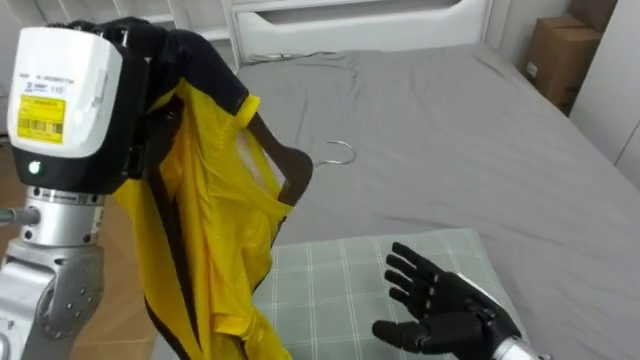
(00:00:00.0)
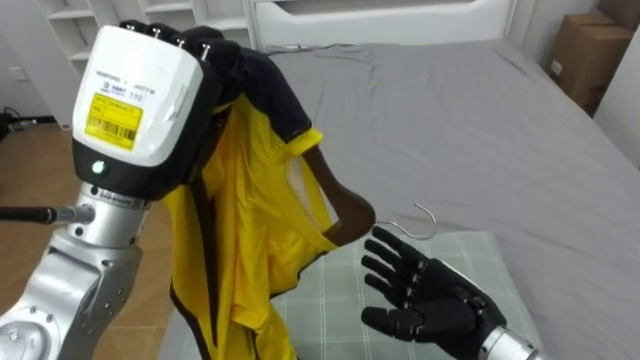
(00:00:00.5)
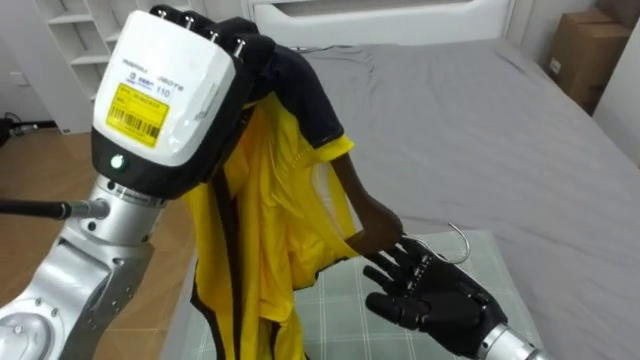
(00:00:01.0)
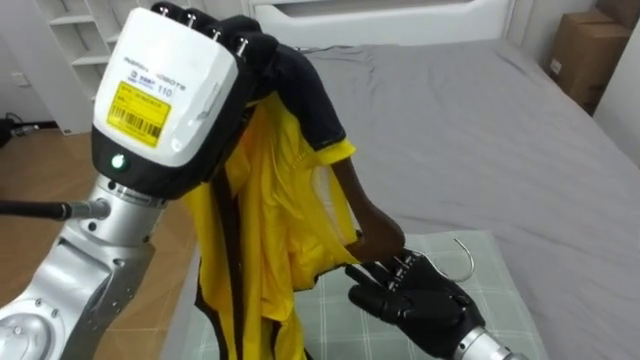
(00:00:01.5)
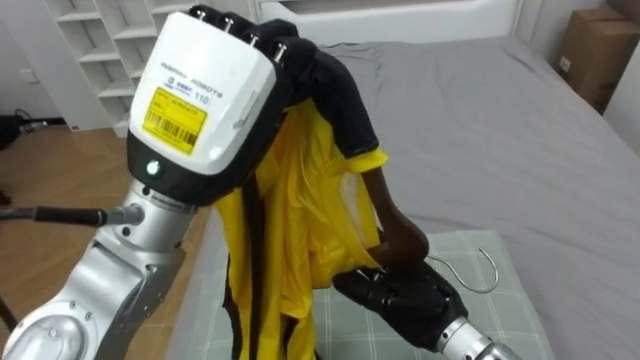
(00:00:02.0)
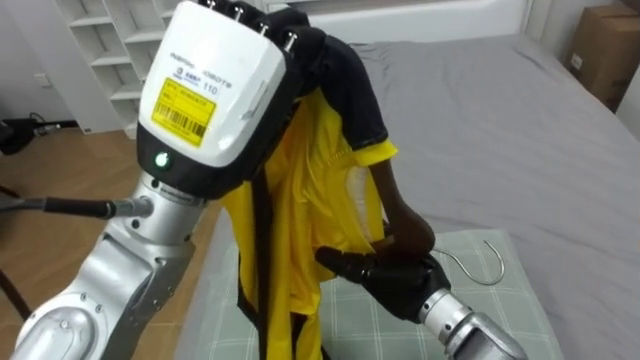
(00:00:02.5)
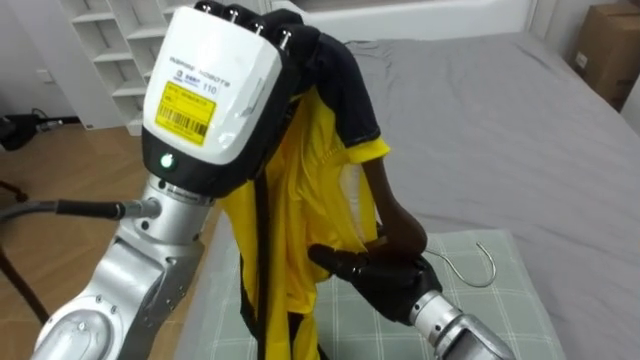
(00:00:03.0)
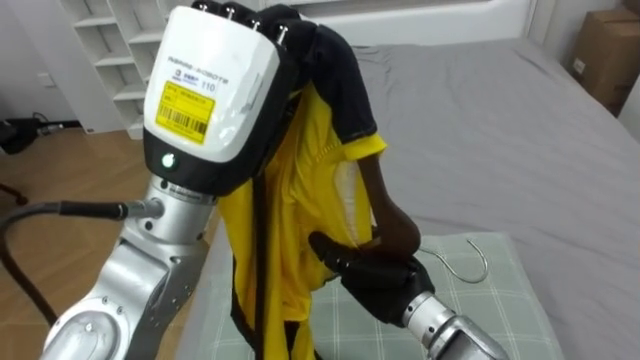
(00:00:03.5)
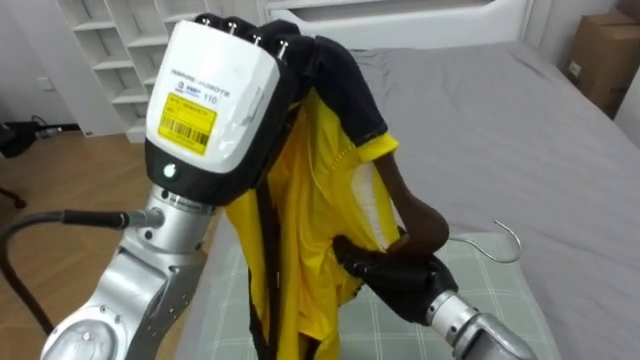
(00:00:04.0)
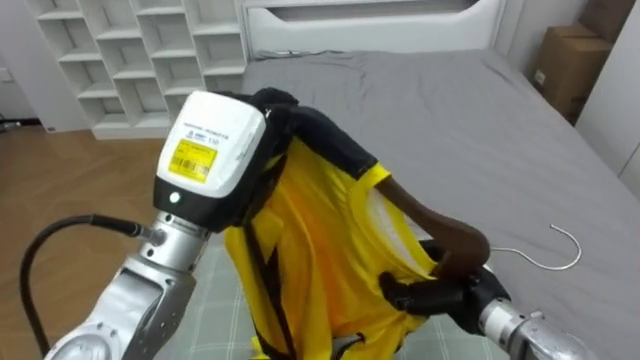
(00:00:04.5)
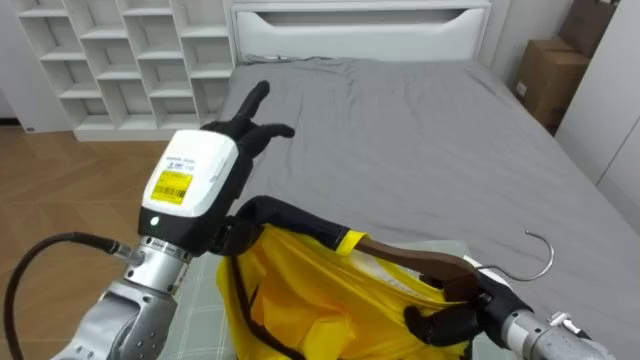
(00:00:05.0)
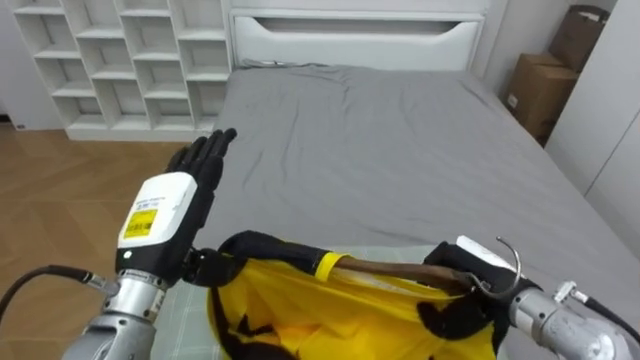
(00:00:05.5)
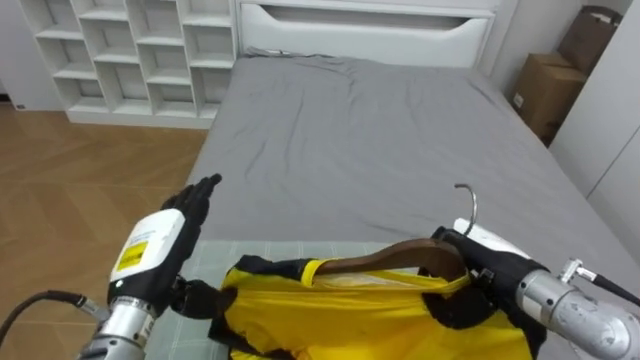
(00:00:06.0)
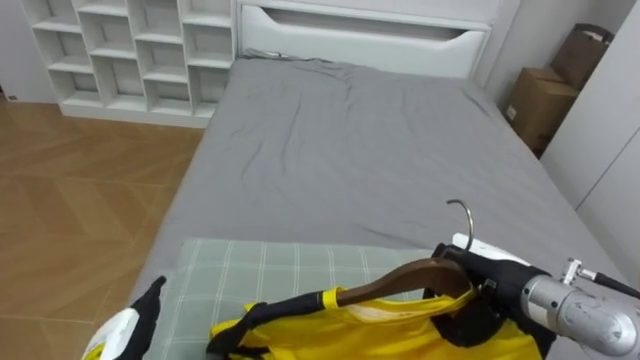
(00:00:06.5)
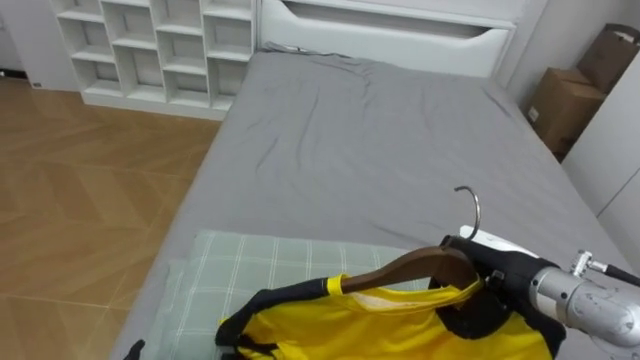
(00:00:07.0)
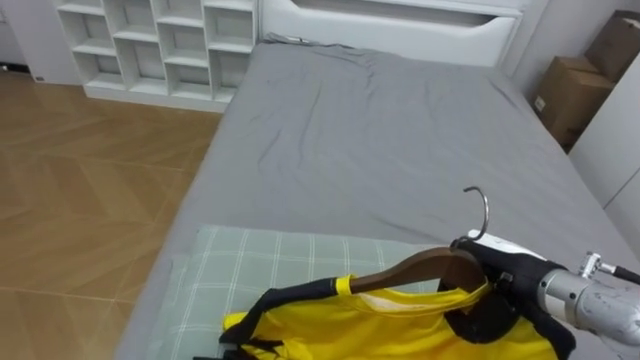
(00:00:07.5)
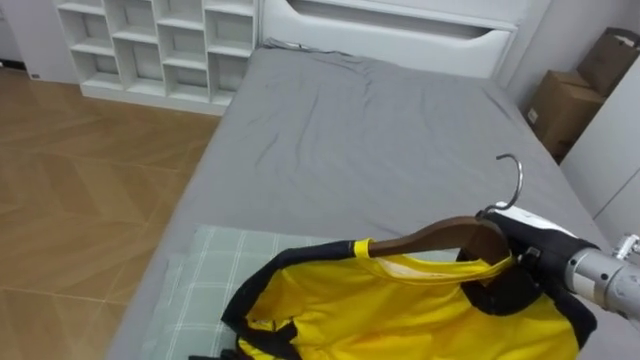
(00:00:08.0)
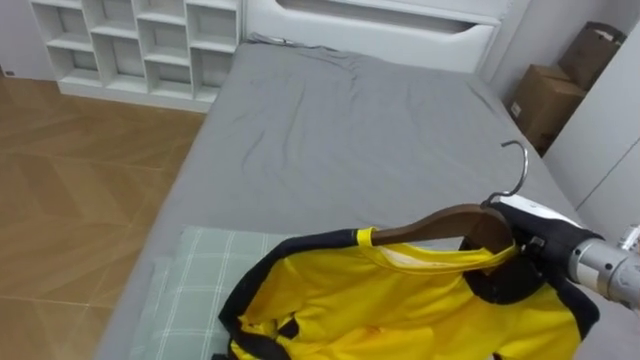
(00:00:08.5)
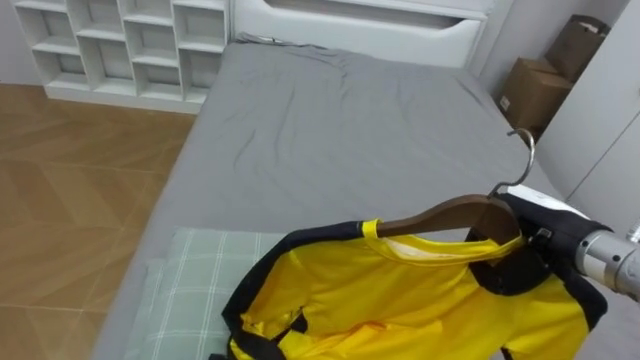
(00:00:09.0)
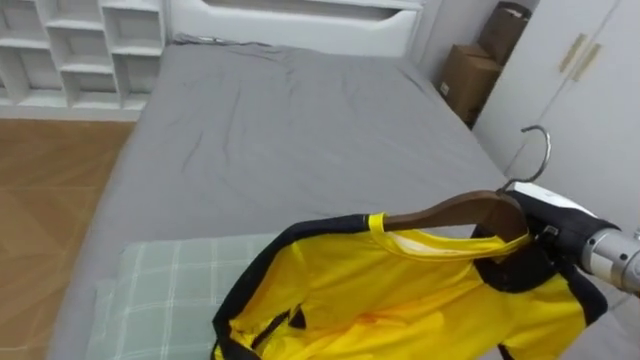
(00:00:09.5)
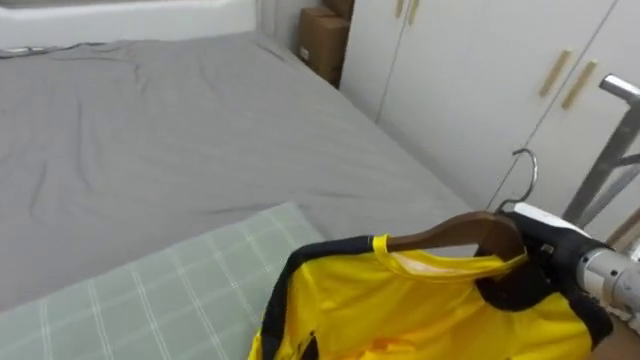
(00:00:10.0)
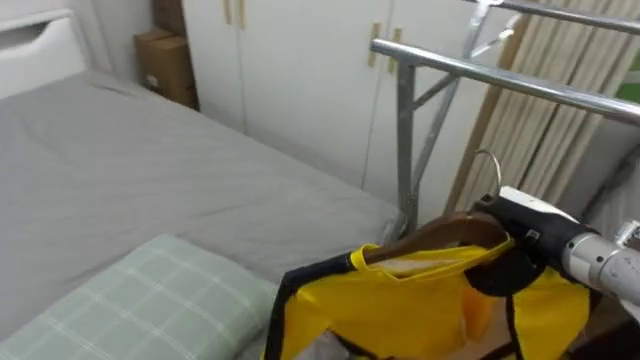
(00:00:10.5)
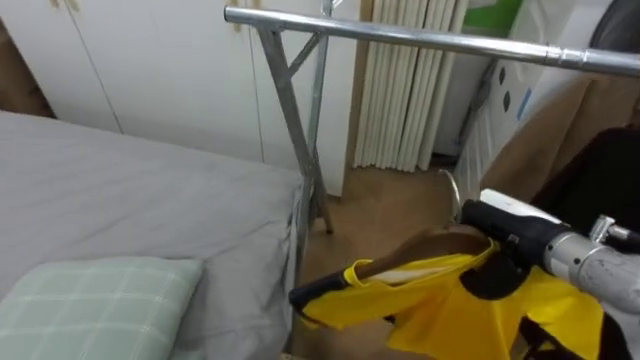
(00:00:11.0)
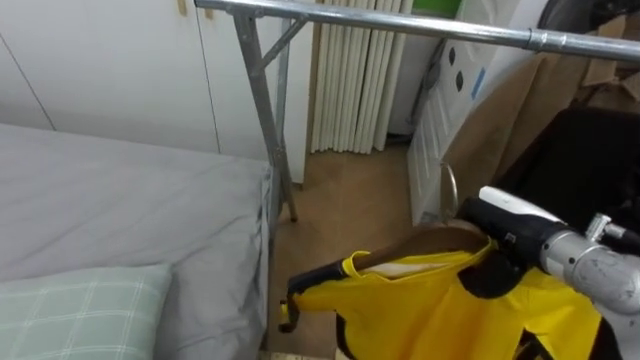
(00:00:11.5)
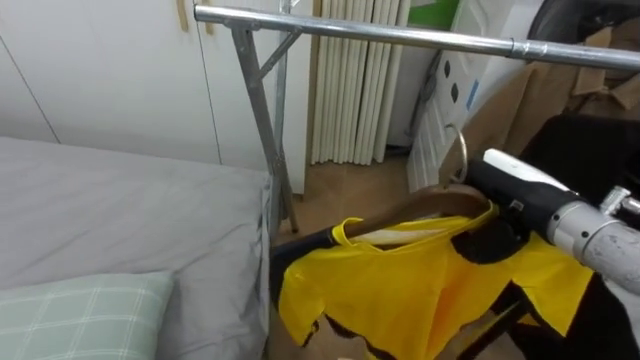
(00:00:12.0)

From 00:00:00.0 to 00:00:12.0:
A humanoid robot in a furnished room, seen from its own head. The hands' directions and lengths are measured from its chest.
Task of the whole recording: Pick up the yellow shirt on the bed and hang it on the clothes rack on the right.
From 00:00:00.0 to 00:00:02.0: The left hand travels to the right by some 10 cm. The right hand is displaced to the left by about 5 cm.
From 00:00:02.0 to 00:00:04.0: The right hand closes.
From 00:00:04.0 to 00:00:06.0: The right hand shifts approximately 10 cm to the right, while the left hand is displaced downward and to the left by roughly 25 cm, and opens.
From 00:00:08.0 to 00:00:10.0: The robot rotates roughly 35 degrees to its right.
From 00:00:10.0 to 00:00:12.0: The robot's body swings approximately 55 degrees to its right. The right hand travels upward by about 5 cm.

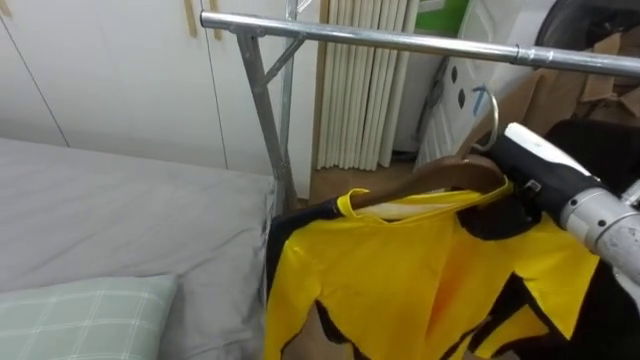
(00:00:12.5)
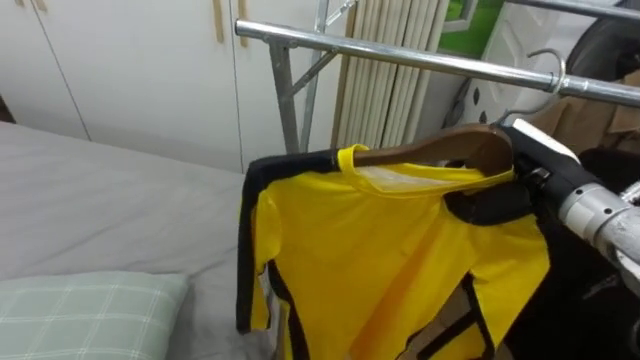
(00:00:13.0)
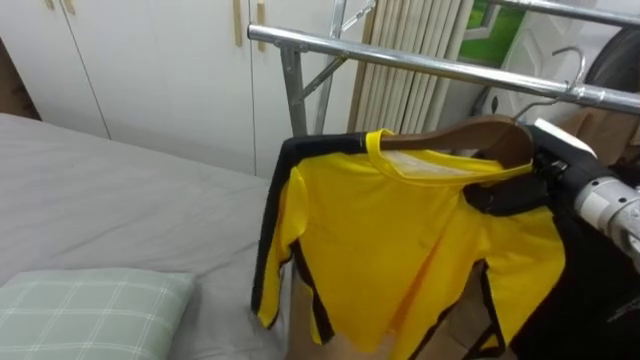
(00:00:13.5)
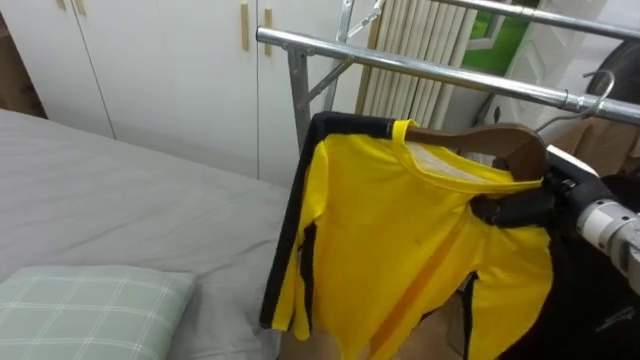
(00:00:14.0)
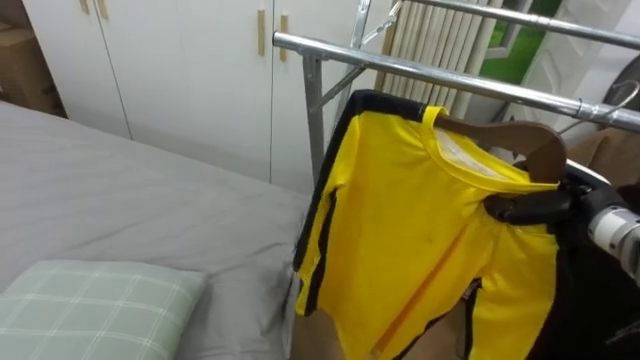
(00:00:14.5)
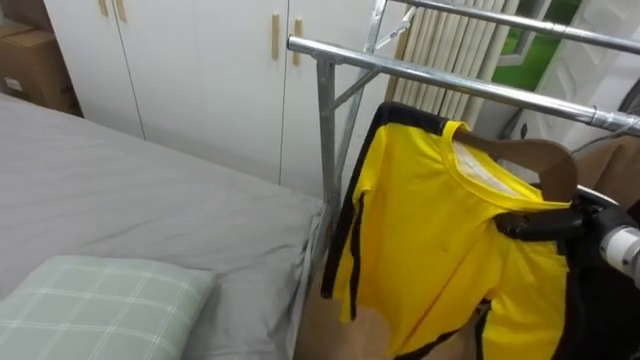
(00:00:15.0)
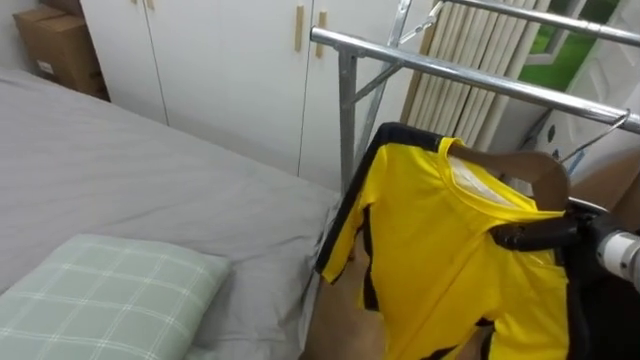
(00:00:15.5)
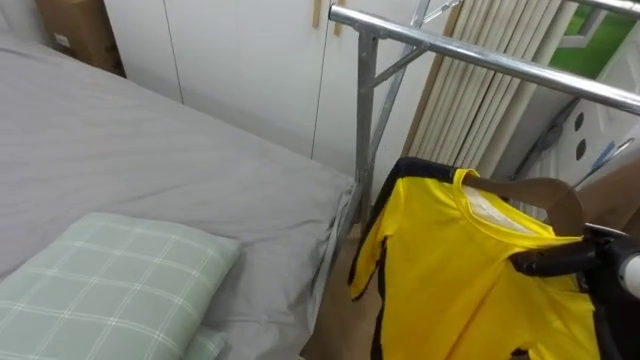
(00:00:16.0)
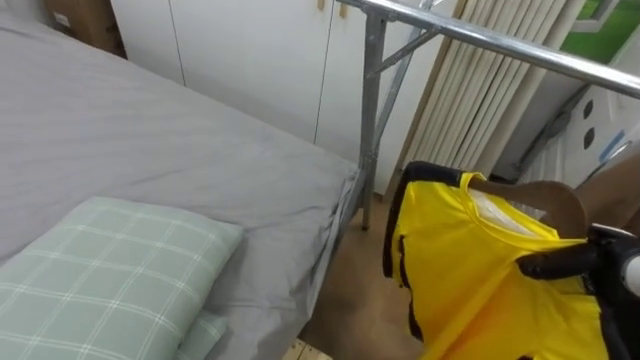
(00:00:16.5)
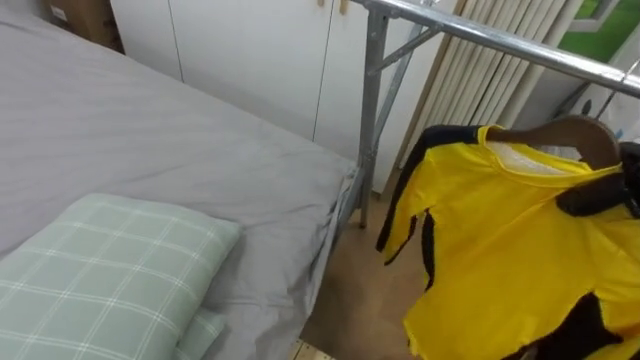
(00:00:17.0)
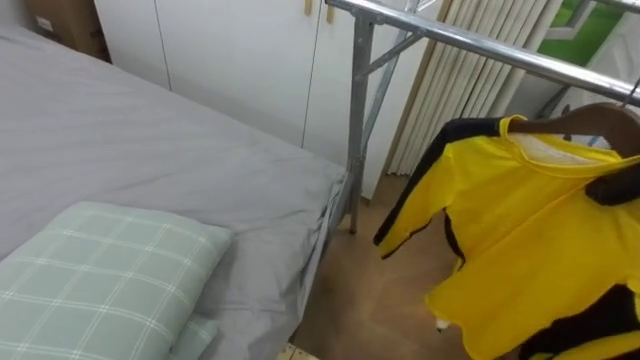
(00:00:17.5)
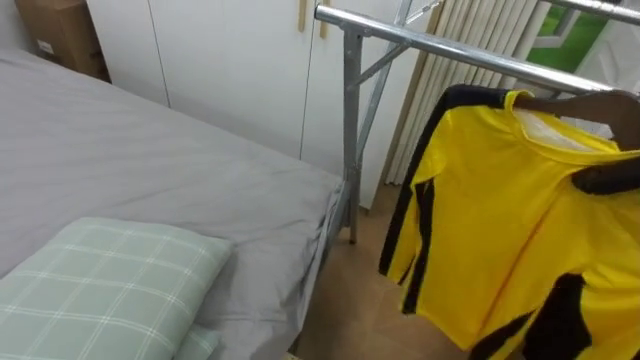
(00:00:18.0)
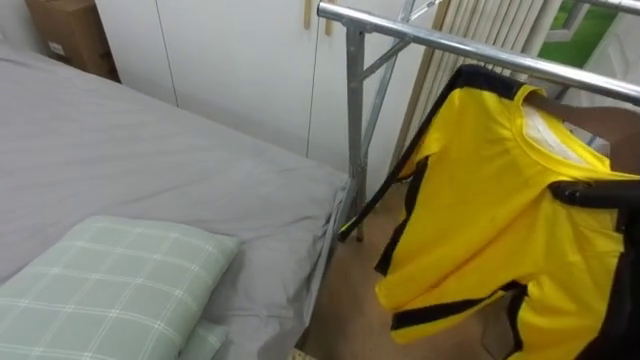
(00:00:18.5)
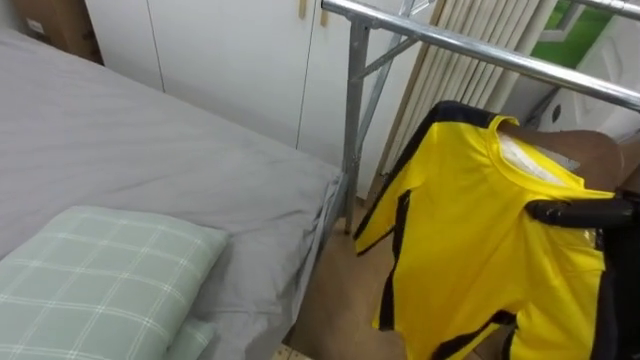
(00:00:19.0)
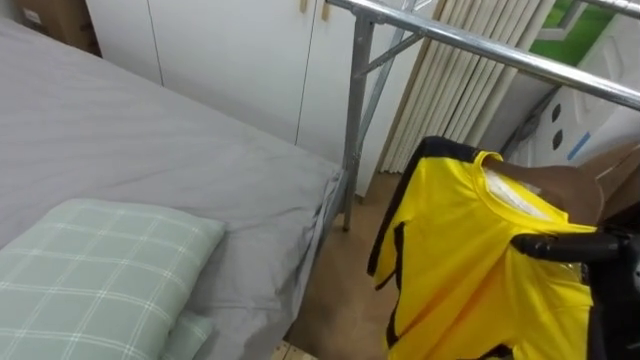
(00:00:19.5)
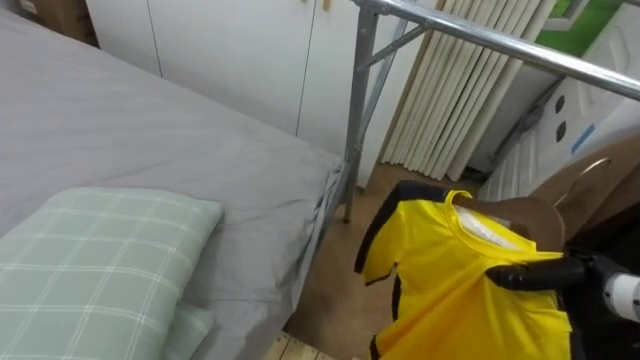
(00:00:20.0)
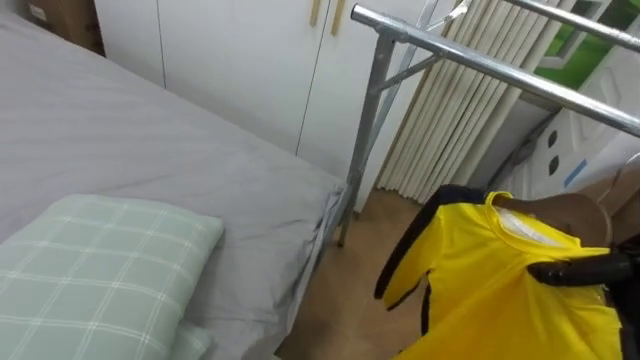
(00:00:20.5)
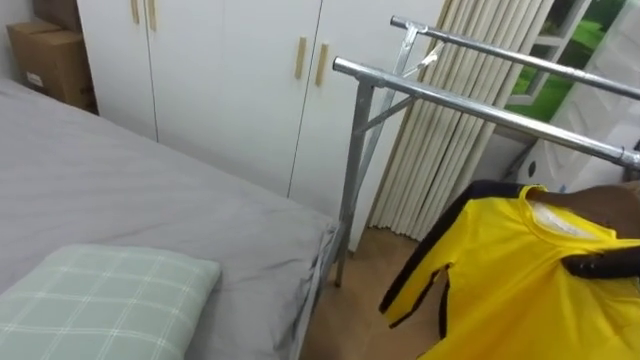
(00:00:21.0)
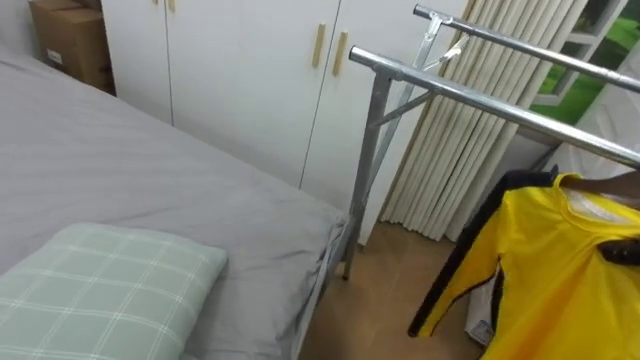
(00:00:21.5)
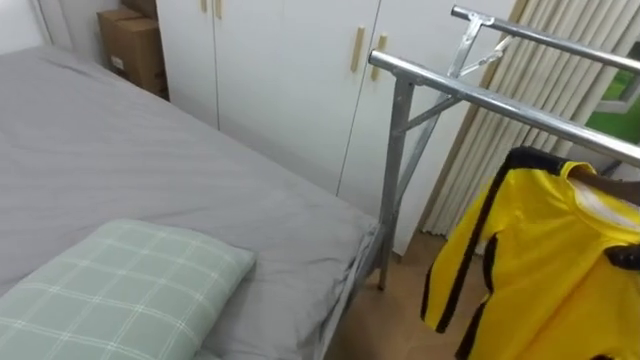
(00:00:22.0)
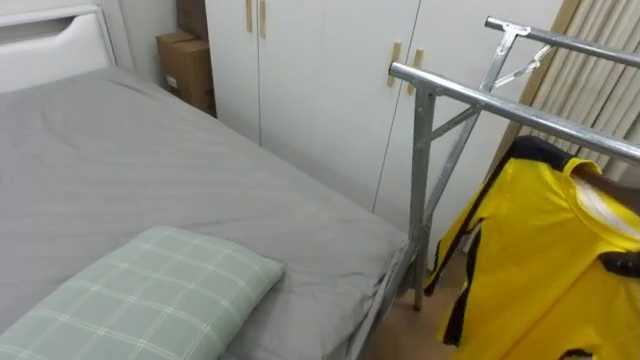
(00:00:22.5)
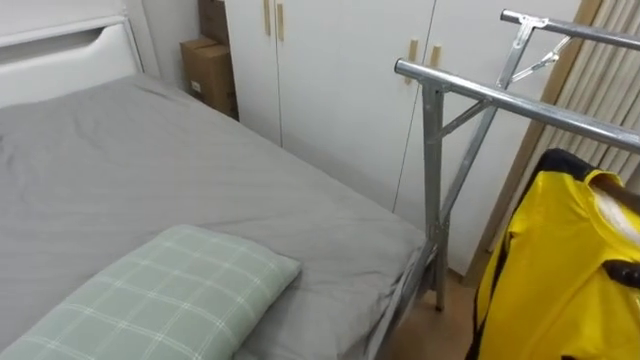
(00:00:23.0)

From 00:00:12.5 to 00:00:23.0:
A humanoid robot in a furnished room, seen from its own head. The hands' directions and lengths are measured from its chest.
Task of the whole recording: Pick up the yellow shirt on the bed and hang it on the clothes rack on the right.
From 00:00:12.5 to 00:00:14.5: The right hand is displaced downward and to the right by roughly 10 cm.
From 00:00:14.5 to 00:00:16.5: The right hand shifts approximately 5 cm downward.
From 00:00:19.0 to 00:00:21.0: The right hand moves about 5 cm.
From 00:00:21.0 to 00:00:23.0: The robot's body swings approximately 25 degrees to its left.
